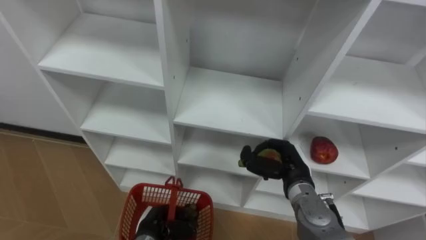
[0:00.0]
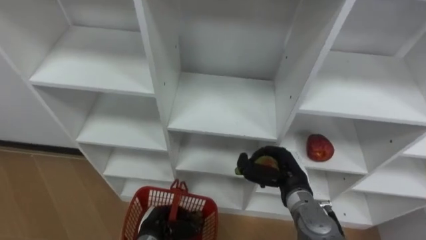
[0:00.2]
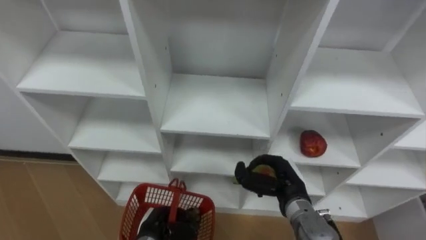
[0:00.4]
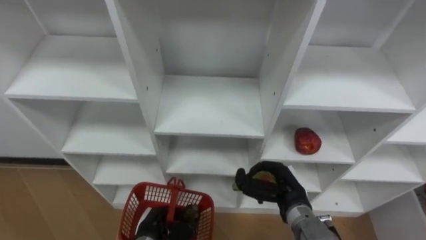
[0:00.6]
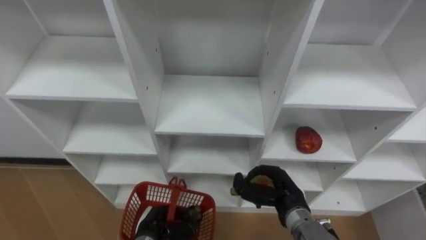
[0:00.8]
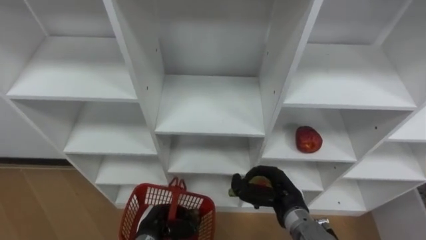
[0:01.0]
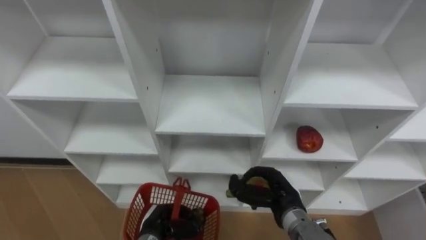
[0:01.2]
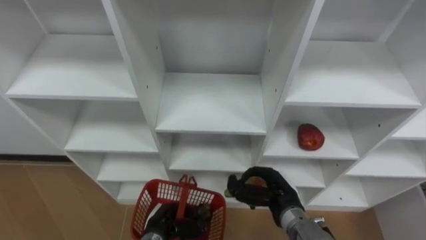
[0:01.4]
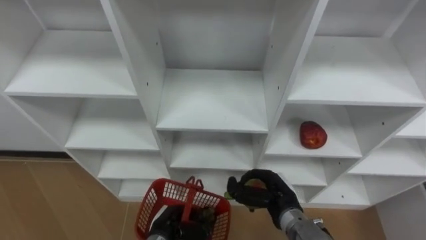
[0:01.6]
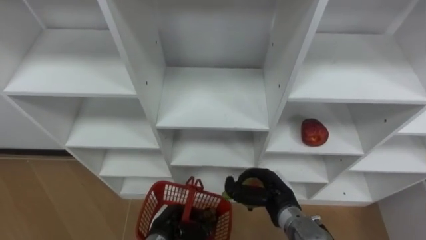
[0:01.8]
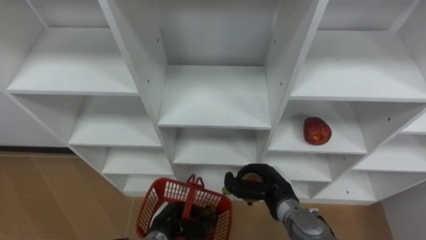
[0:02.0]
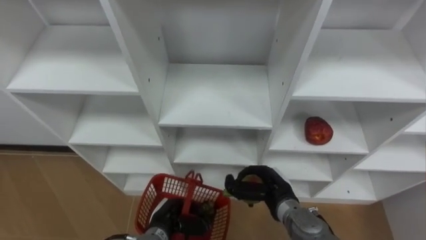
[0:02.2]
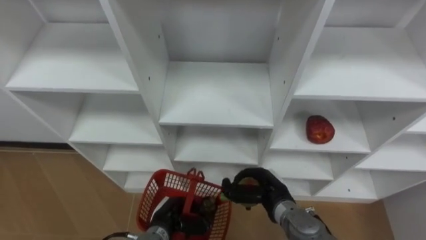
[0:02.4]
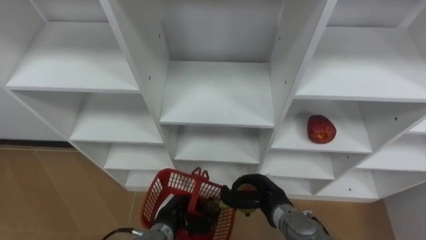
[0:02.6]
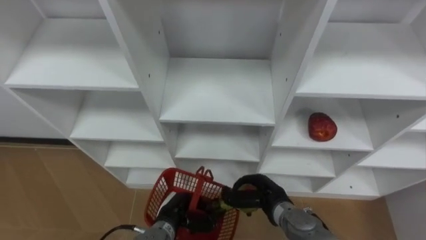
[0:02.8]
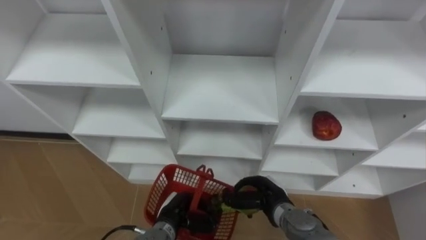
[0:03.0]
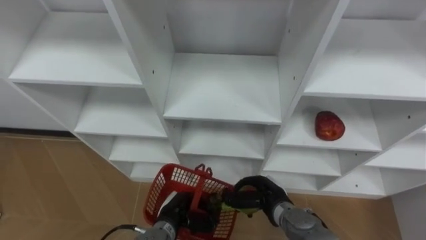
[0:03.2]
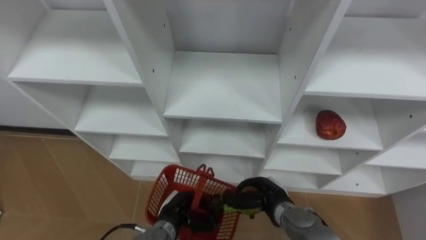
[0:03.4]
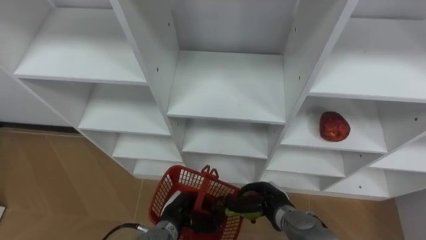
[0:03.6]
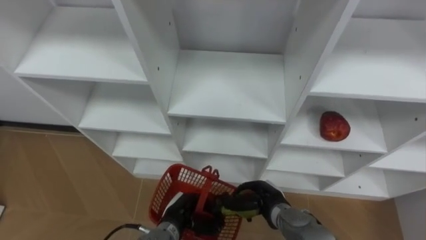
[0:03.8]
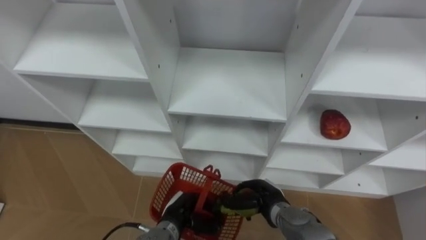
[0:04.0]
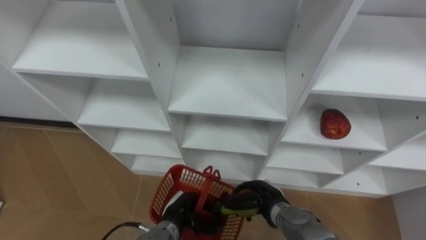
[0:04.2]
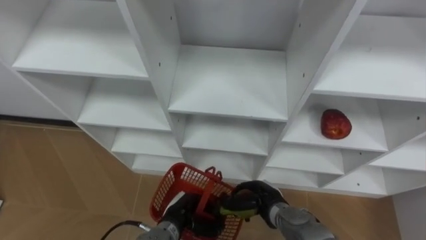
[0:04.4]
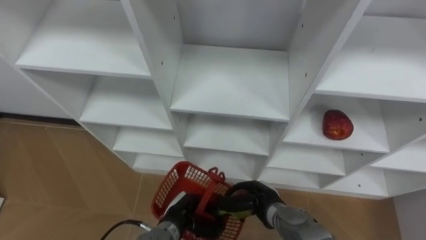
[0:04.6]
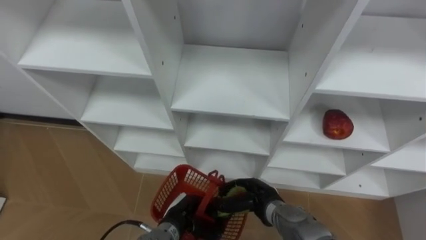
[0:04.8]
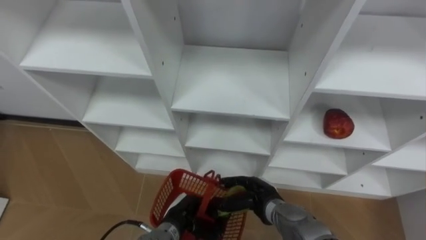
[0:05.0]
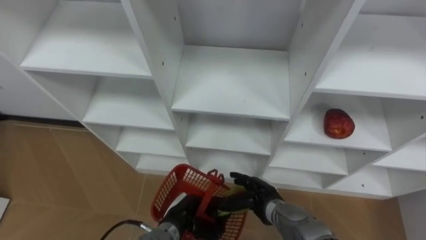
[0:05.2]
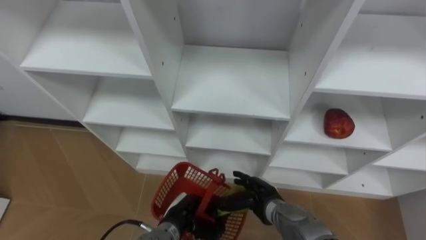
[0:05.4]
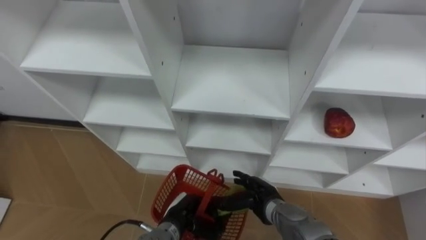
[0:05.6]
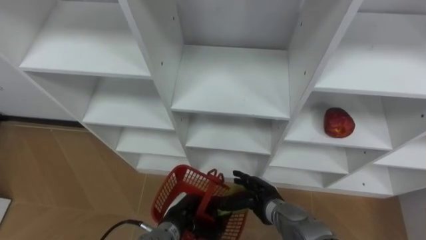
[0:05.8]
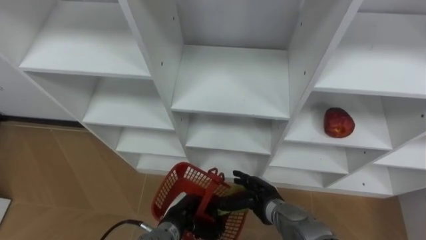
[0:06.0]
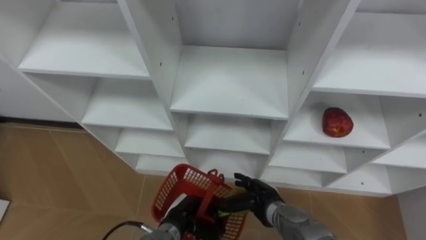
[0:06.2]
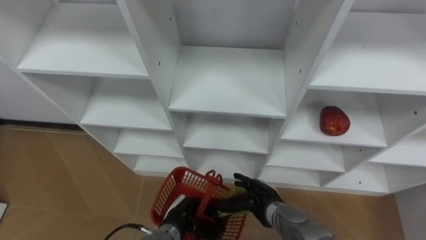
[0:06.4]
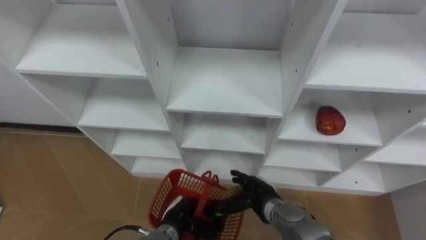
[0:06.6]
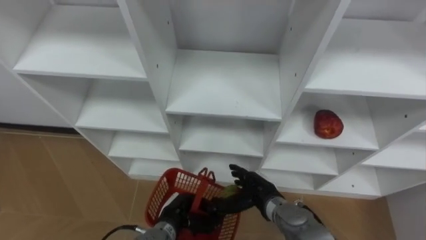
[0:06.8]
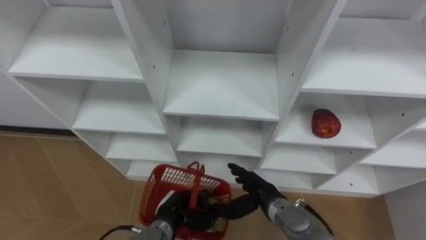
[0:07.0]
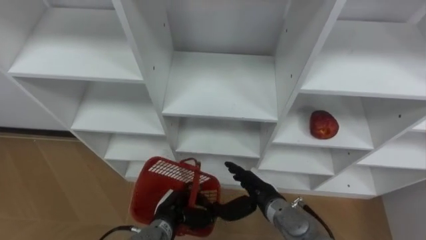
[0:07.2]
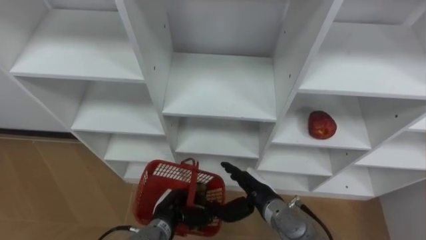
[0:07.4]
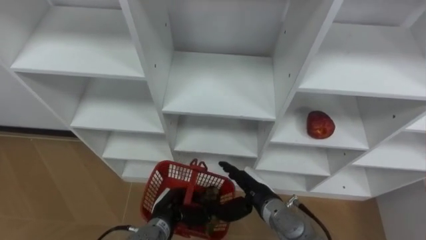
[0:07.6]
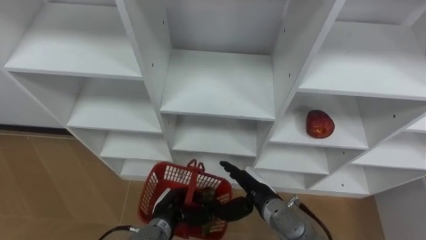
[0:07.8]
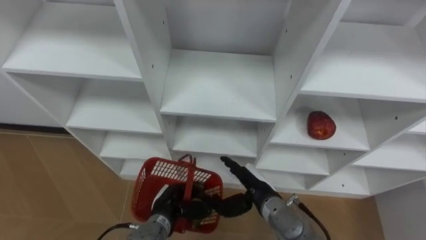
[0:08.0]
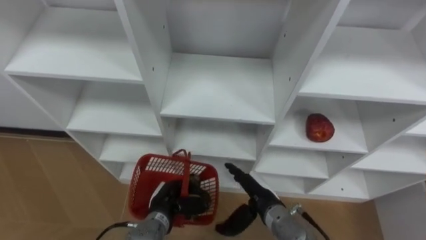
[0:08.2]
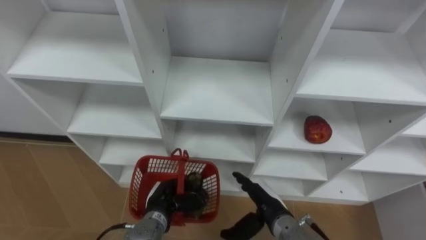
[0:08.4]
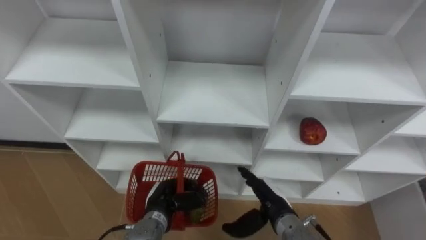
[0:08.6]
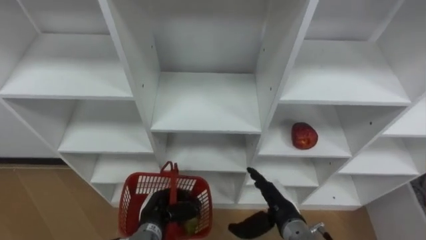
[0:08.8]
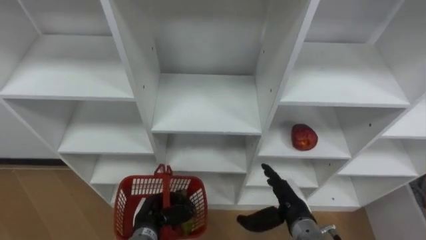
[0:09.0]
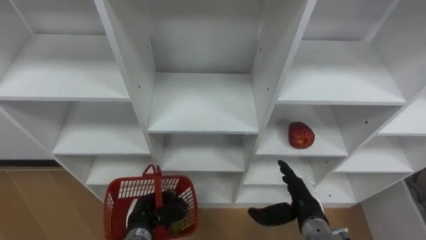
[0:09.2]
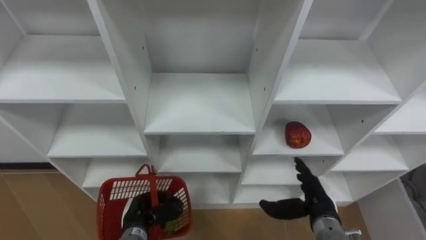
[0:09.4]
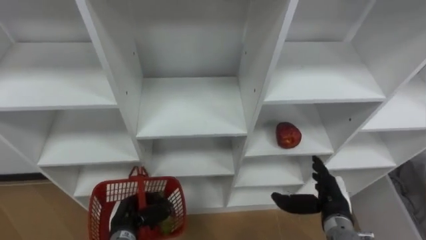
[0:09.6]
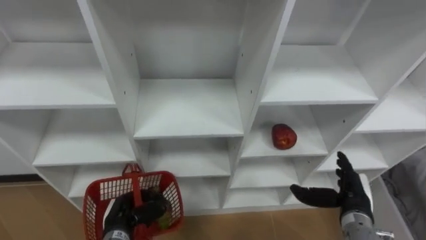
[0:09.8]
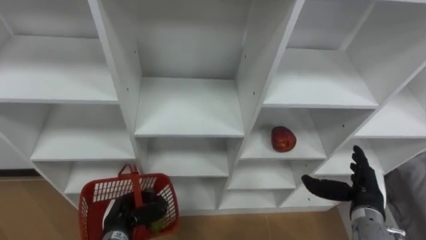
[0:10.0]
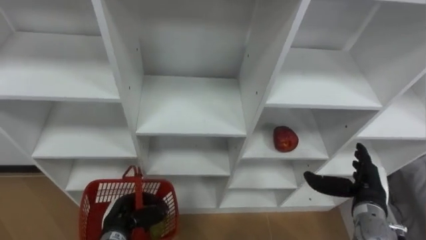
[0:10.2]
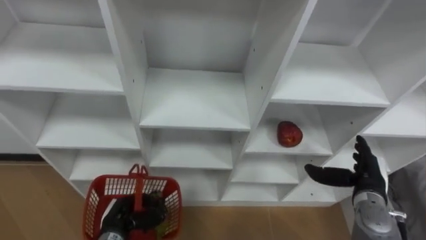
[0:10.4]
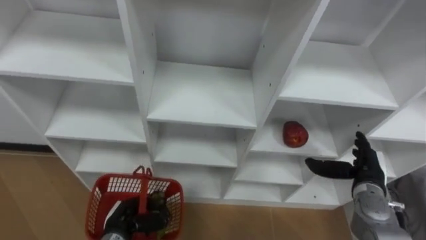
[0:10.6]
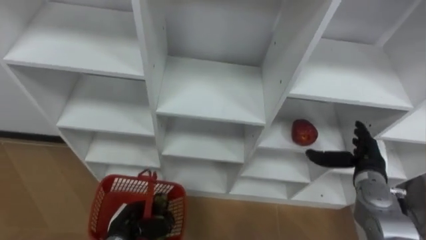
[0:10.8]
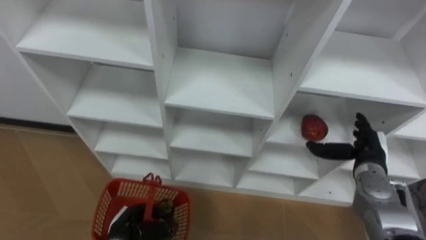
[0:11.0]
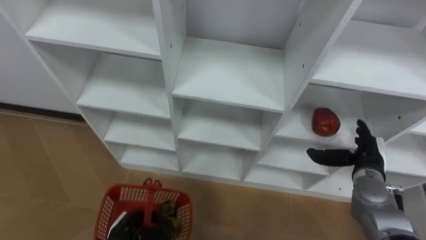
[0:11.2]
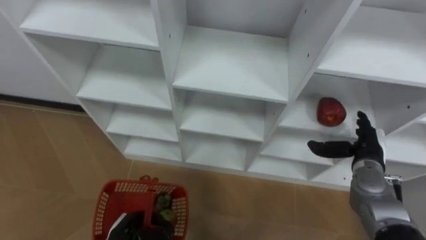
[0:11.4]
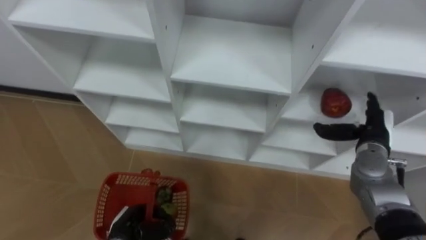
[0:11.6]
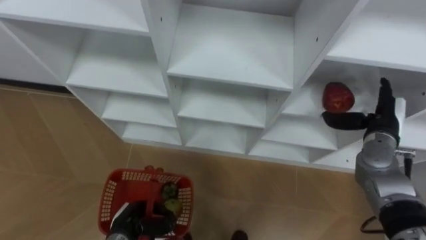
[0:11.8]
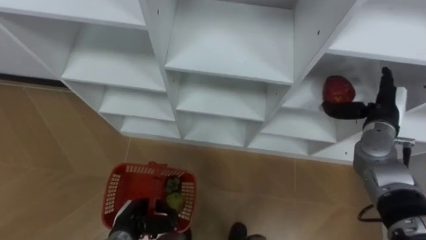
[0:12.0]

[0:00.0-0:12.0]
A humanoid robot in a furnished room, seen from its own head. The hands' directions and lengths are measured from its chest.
Task of the whole recording: Hold the basket and collect the fruits from 3 different cells of the closet into it.
0:00.0 to 0:01.6: The right hand shifts by approximately 5 cm.
0:04.4 to 0:06.0: The right hand opens up.
0:07.6 to 0:09.0: The right hand goes roughly 5 cm to the right.
0:09.0 to 0:10.4: The left hand moves to the left, some 5 cm; the right hand heads to the right, covering some 15 cm.
0:10.4 to 0:12.0: The right hand heads forward and upward, covering roughly 15 cm.

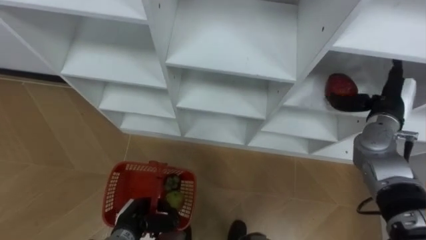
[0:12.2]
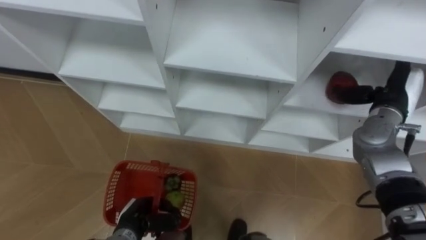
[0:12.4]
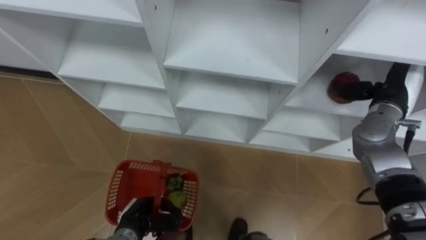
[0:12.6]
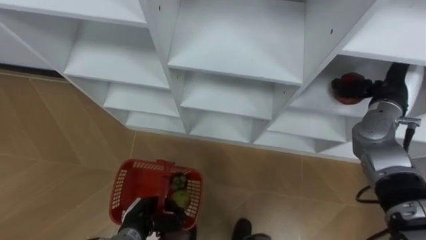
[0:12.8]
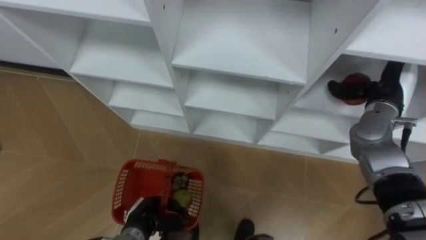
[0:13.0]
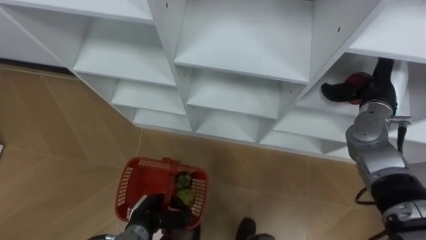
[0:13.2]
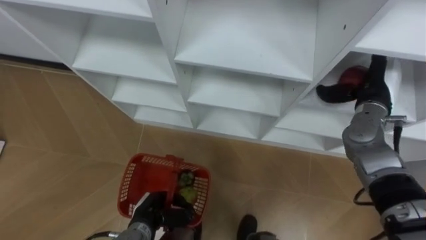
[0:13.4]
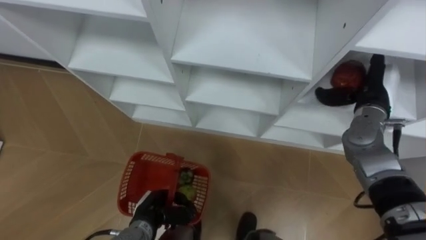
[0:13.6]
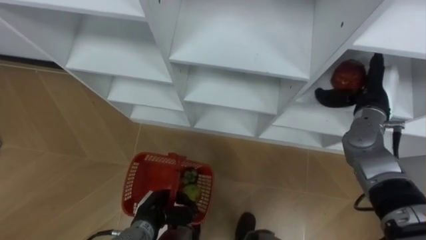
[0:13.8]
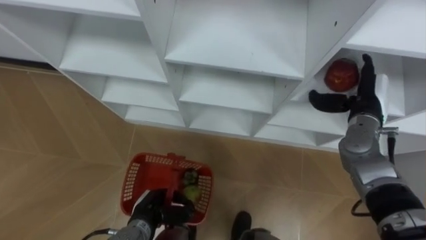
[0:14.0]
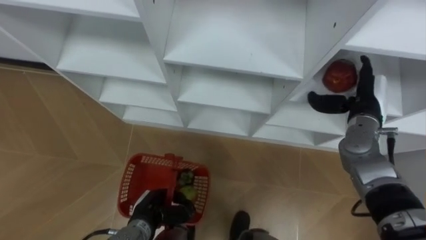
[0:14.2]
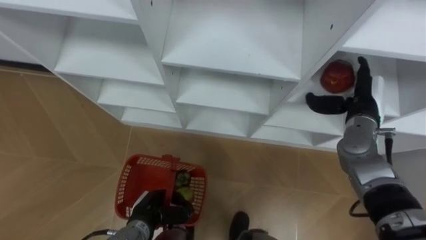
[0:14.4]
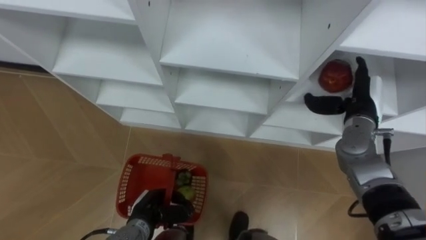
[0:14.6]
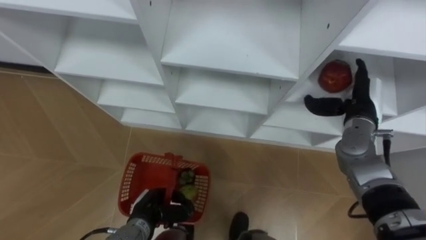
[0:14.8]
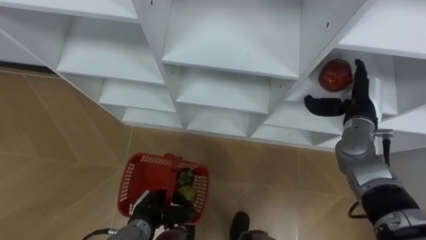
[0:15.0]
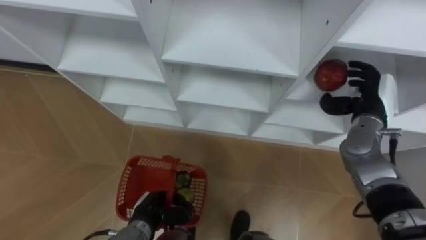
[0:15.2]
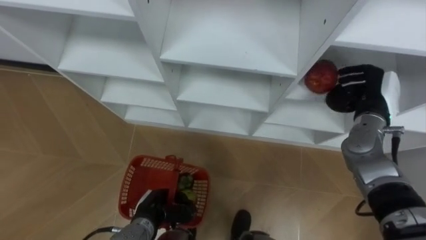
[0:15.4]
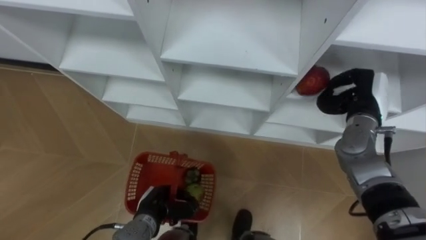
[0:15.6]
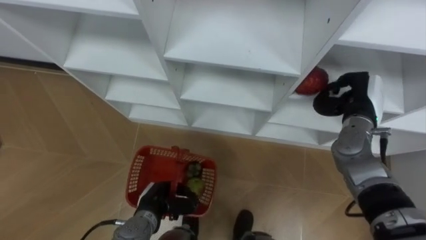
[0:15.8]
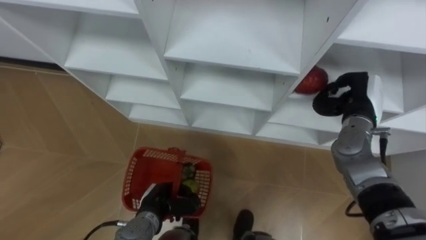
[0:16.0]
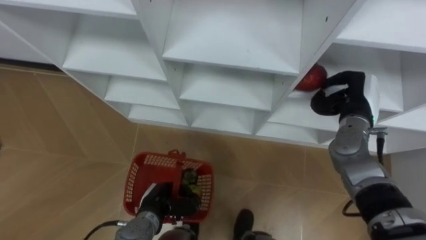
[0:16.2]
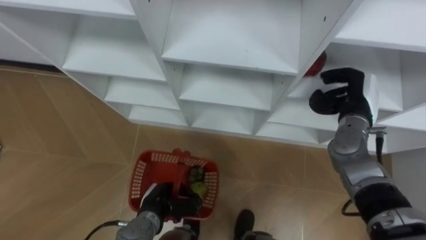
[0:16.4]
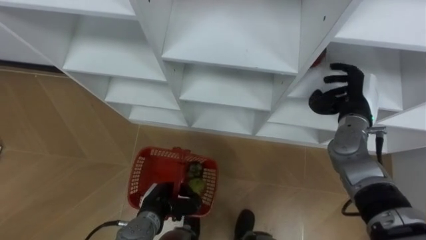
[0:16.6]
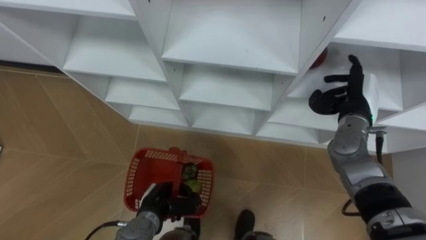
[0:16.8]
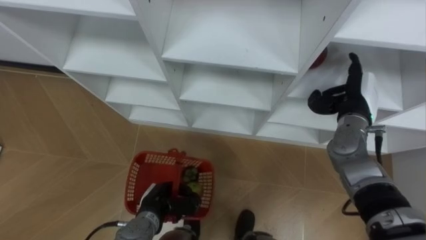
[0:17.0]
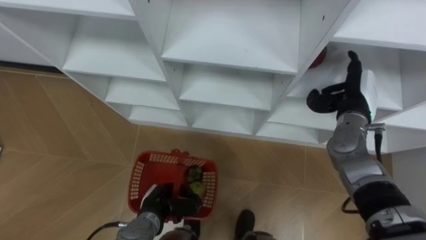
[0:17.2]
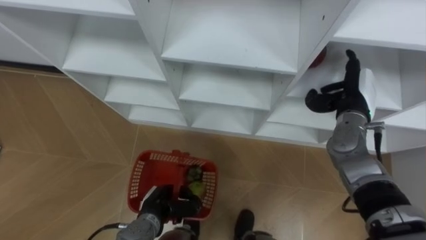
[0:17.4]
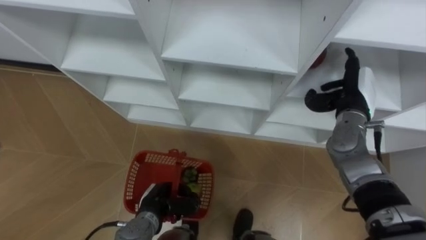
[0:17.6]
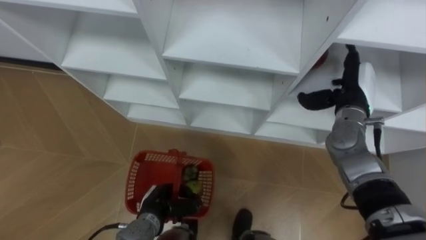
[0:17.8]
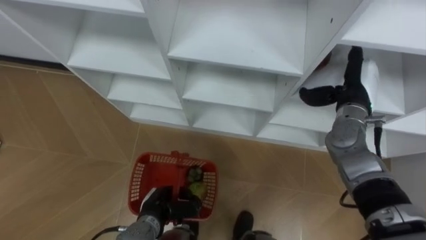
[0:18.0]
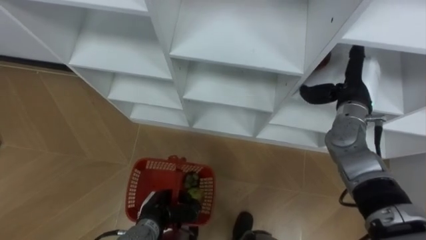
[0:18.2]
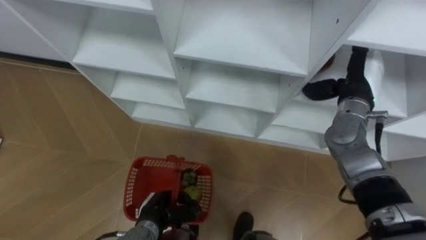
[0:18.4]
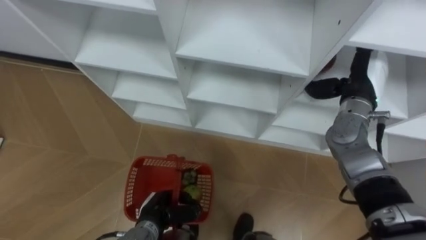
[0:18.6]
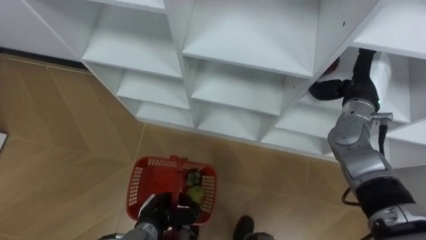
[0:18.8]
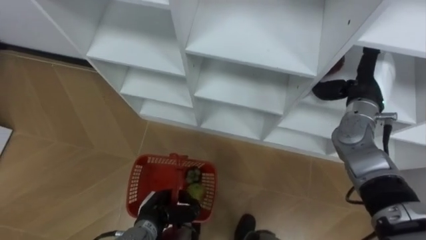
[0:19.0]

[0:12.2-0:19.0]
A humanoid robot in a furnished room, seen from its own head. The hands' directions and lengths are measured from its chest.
Task of the whole recording: Hold the basket and collect the fruits from 3 different cells of the closet into it.
0:15.0 to 0:16.2: The right hand closes its fingers.
0:16.2 to 0:17.6: The right hand opens up.
